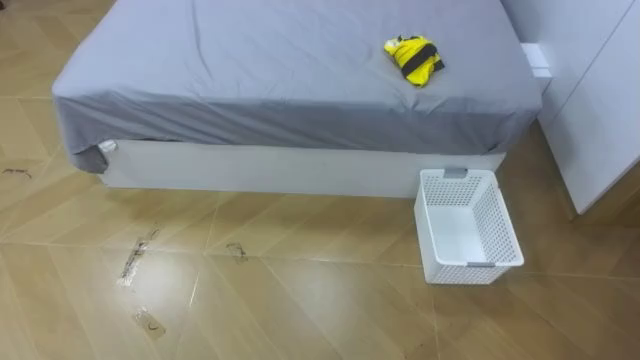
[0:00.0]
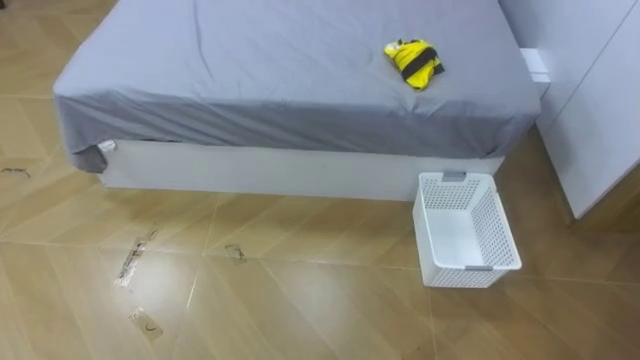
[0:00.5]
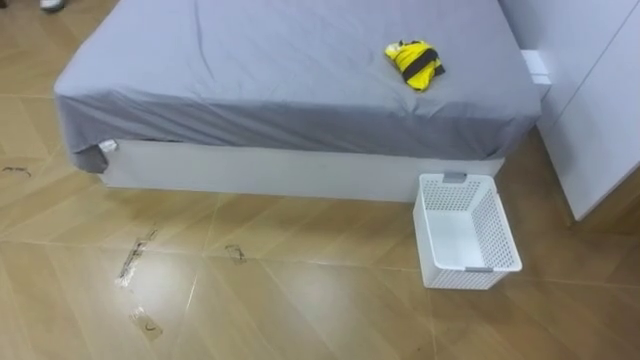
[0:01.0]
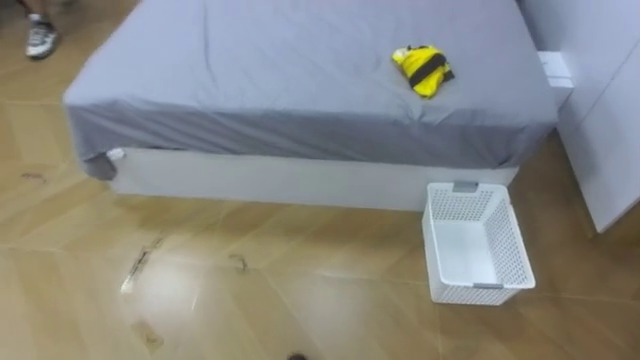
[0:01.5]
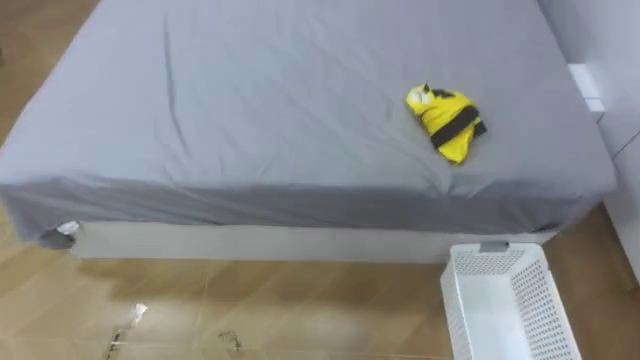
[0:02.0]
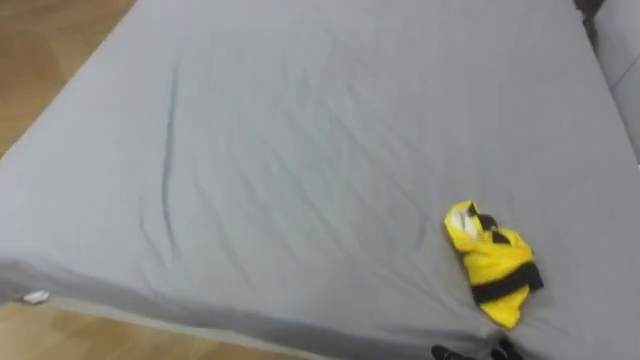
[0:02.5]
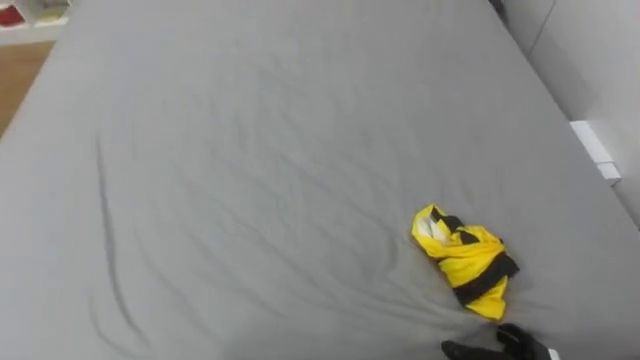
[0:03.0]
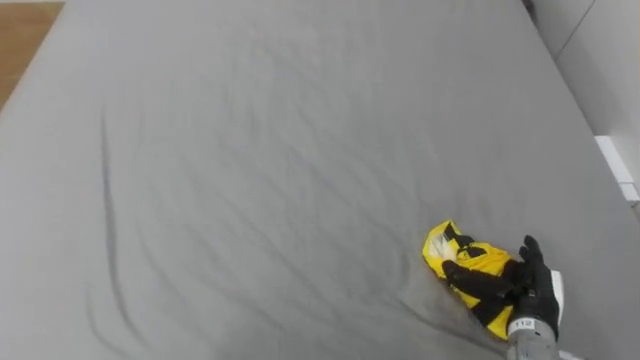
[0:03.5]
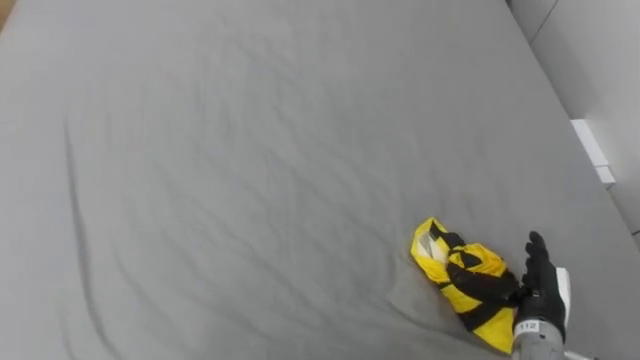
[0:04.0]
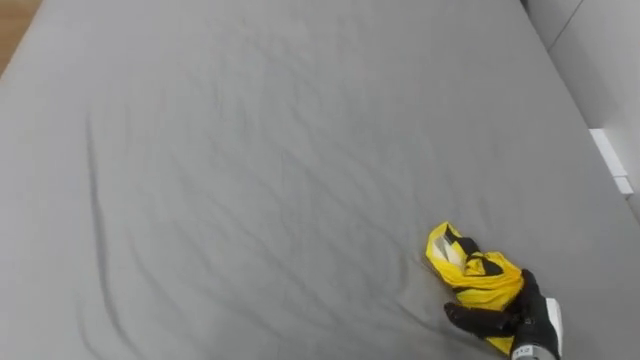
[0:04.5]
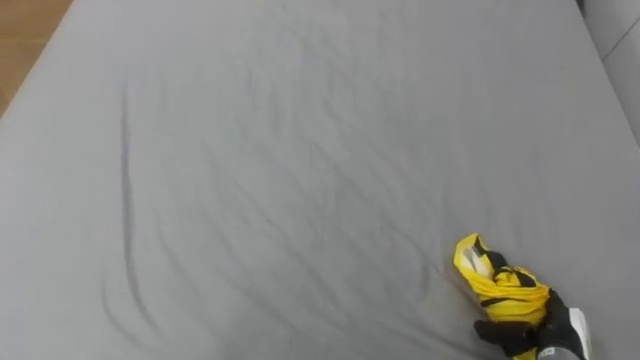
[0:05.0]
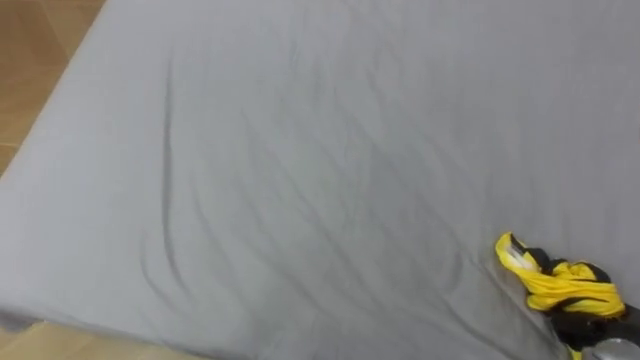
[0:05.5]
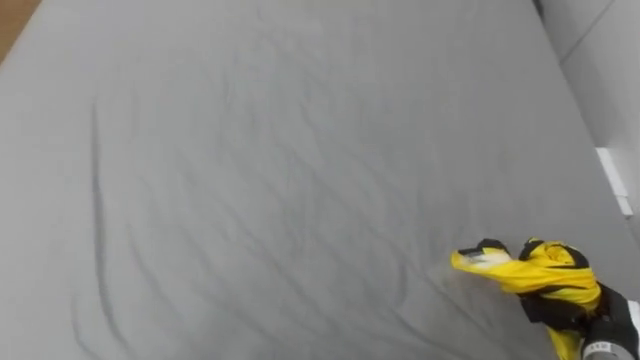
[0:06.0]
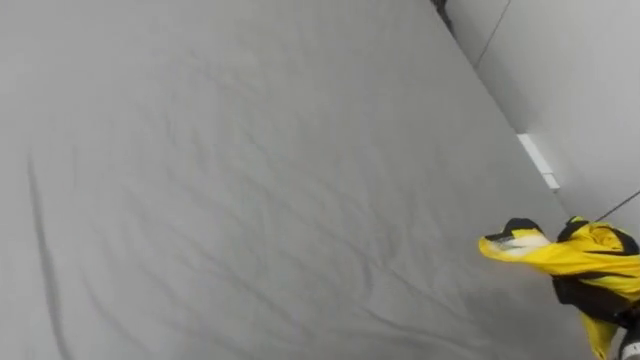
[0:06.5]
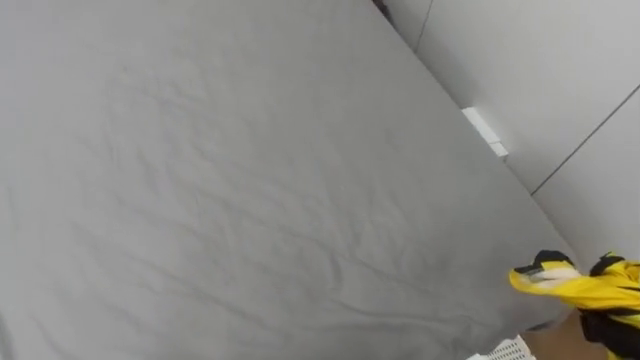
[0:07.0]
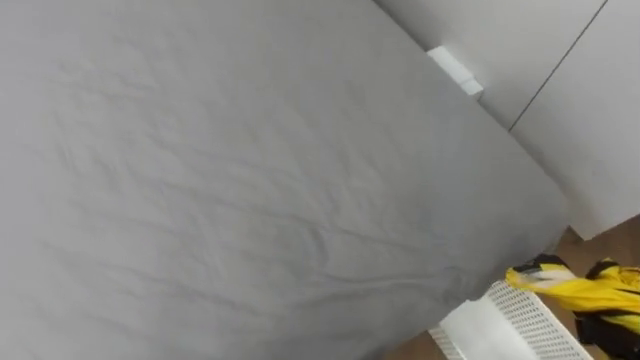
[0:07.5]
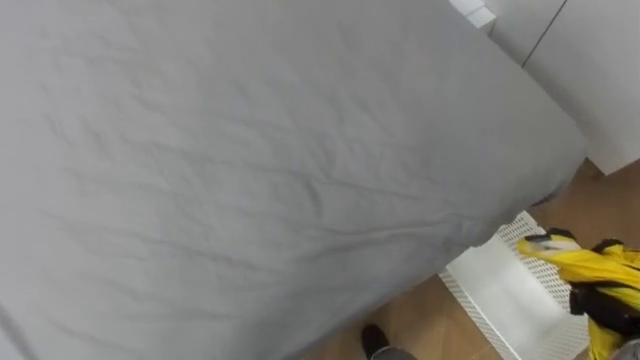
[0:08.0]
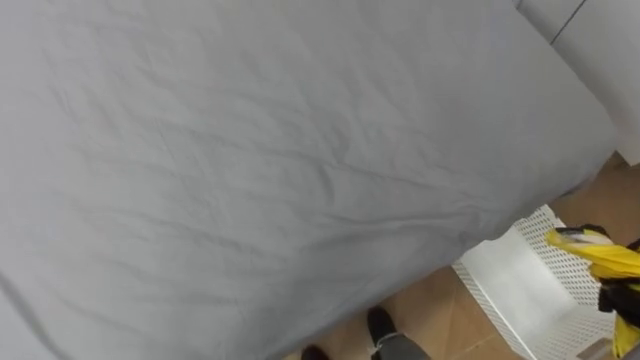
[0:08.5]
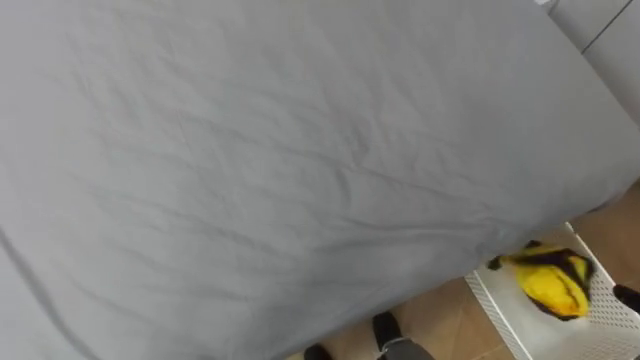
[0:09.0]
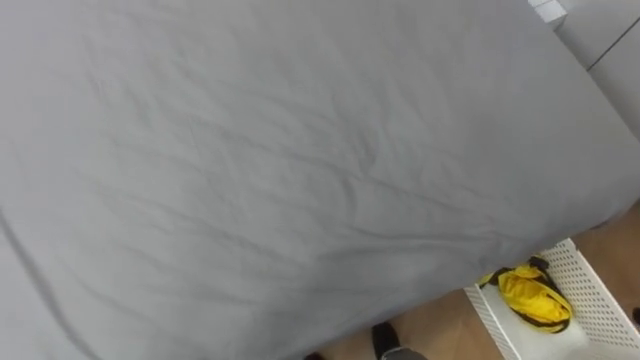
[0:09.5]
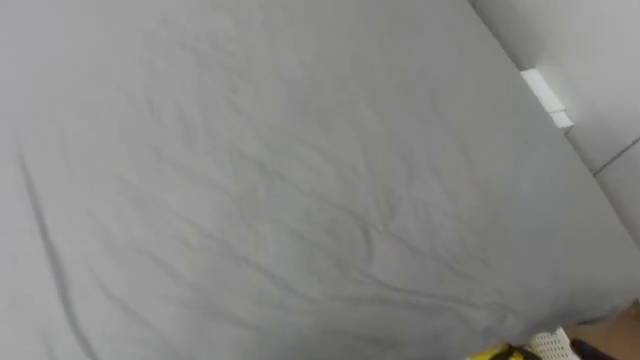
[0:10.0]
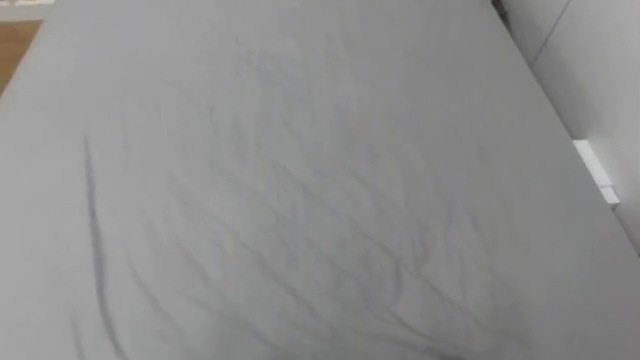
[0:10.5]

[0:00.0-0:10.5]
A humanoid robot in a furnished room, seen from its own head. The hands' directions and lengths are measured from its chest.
Task of the whole recording: Pick up the yellow clothes on the bed and place them into the white basket on the right.
0:04.0 to 0:06.5: The right hand goes some 10 cm to the right, and closes.
0:08.5 to 0:10.5: The robot turns to its left by roughly 15 degrees.

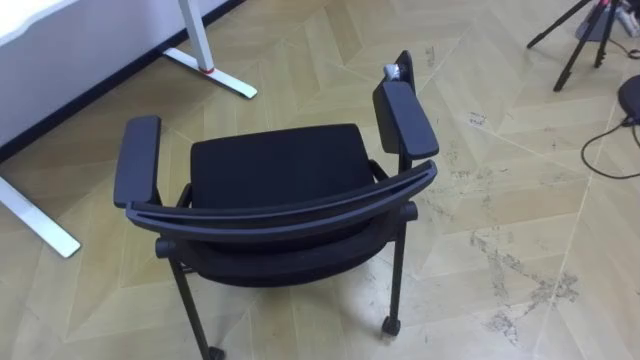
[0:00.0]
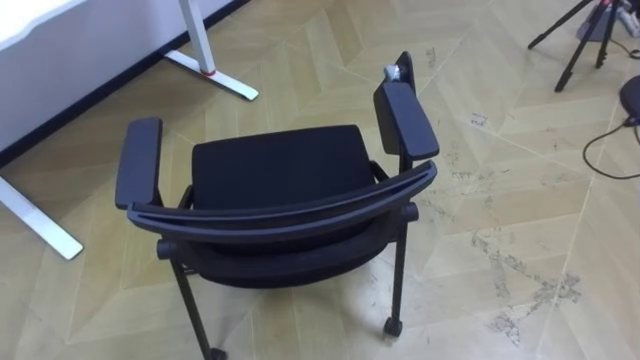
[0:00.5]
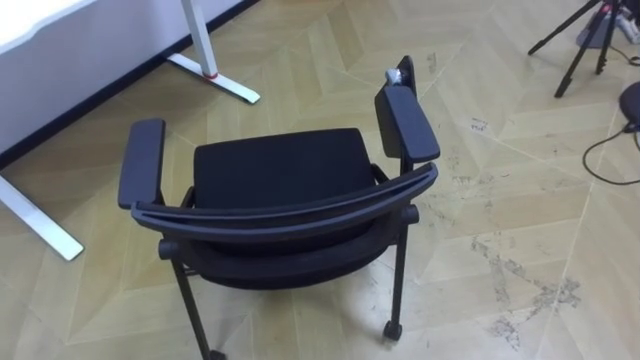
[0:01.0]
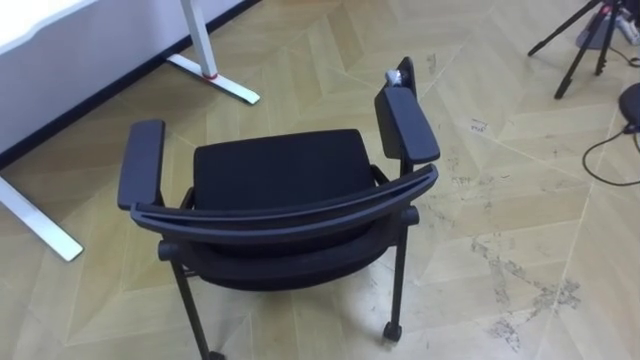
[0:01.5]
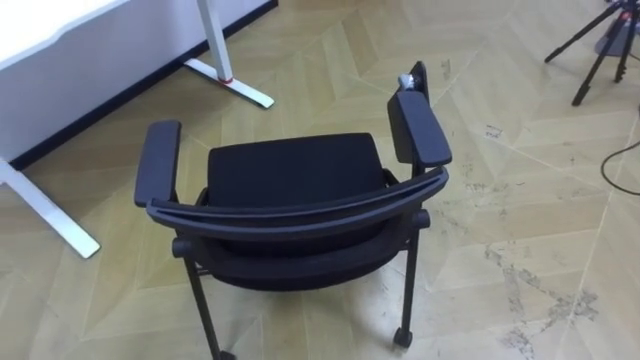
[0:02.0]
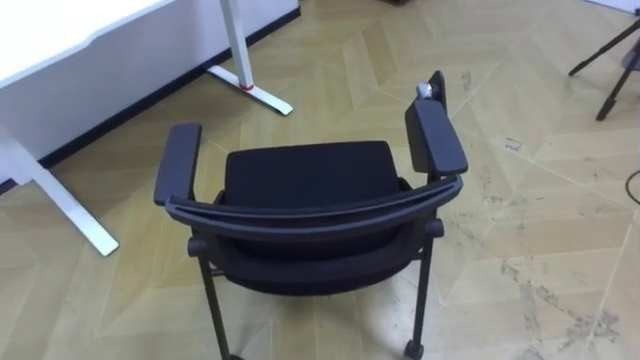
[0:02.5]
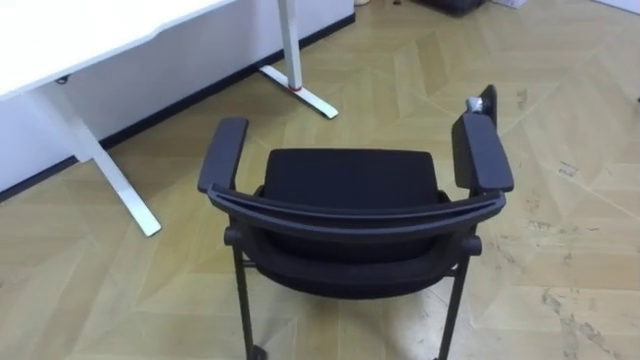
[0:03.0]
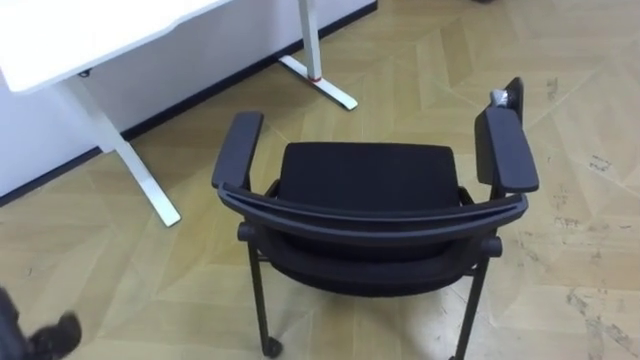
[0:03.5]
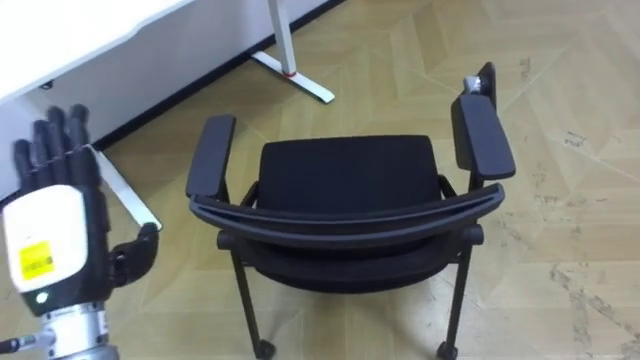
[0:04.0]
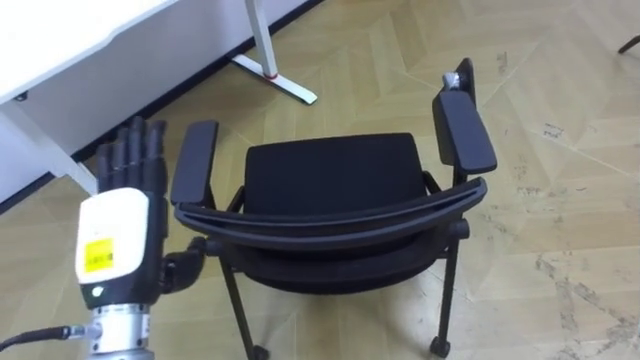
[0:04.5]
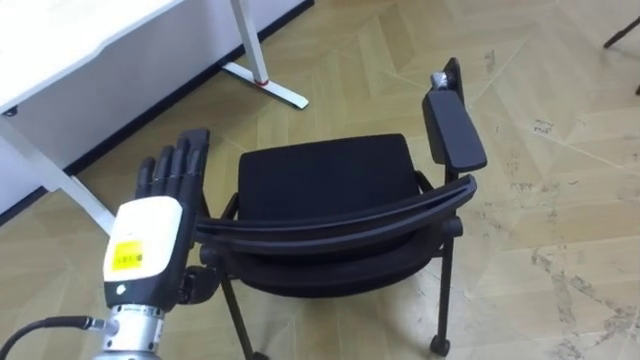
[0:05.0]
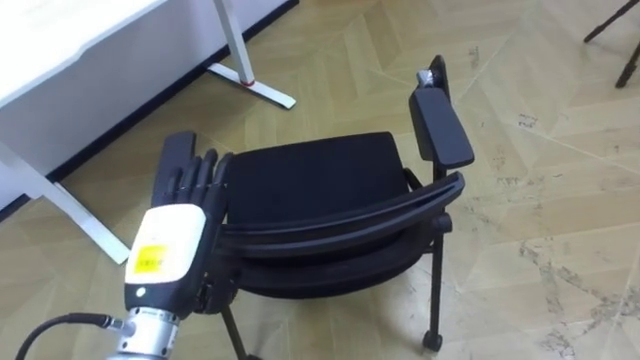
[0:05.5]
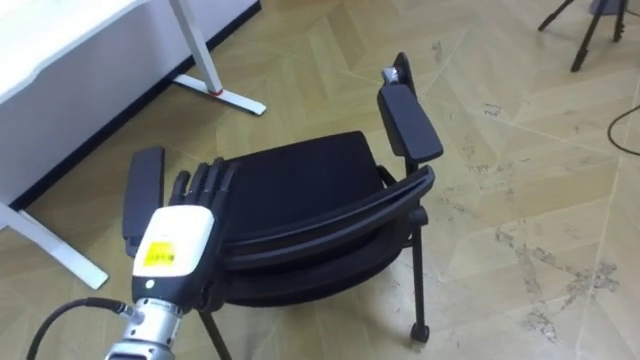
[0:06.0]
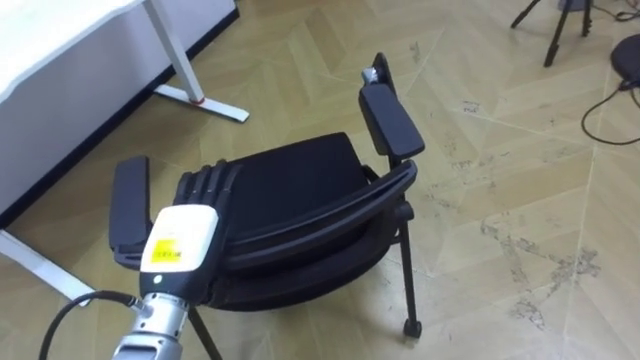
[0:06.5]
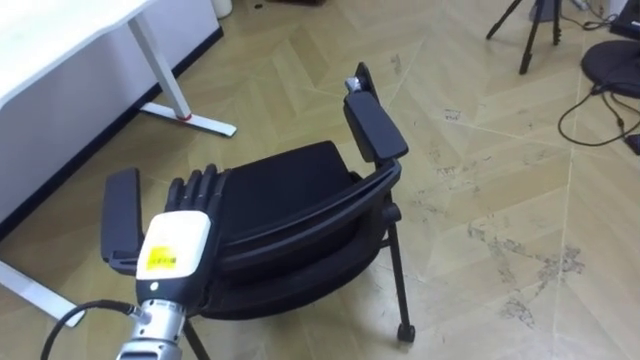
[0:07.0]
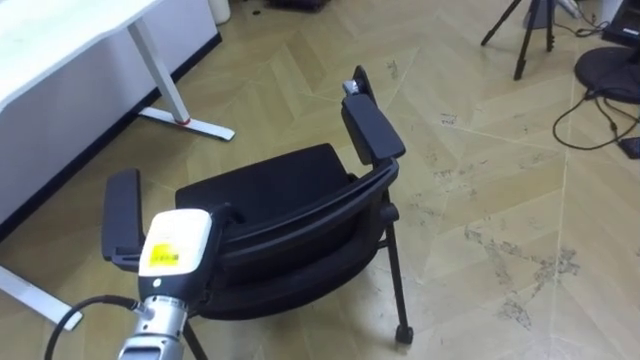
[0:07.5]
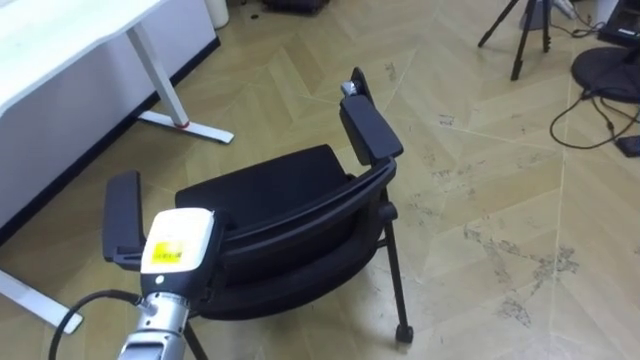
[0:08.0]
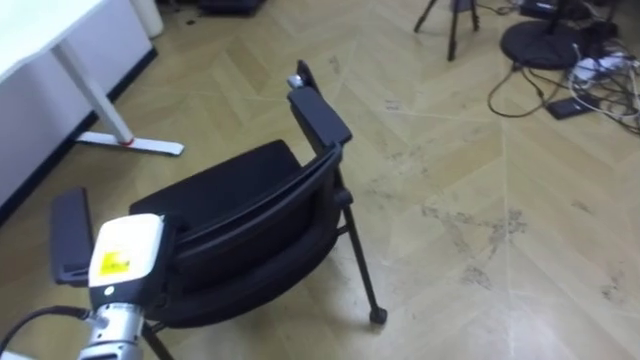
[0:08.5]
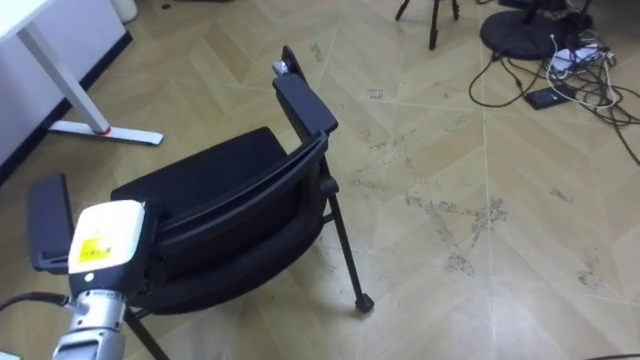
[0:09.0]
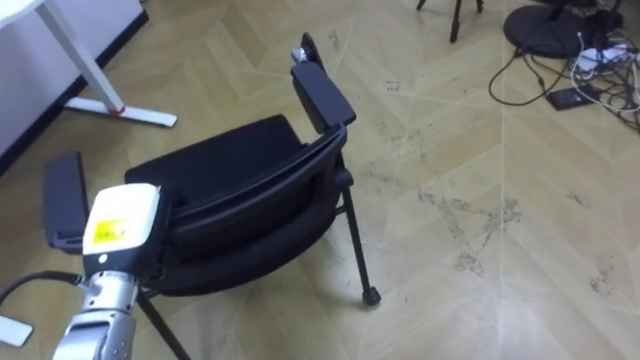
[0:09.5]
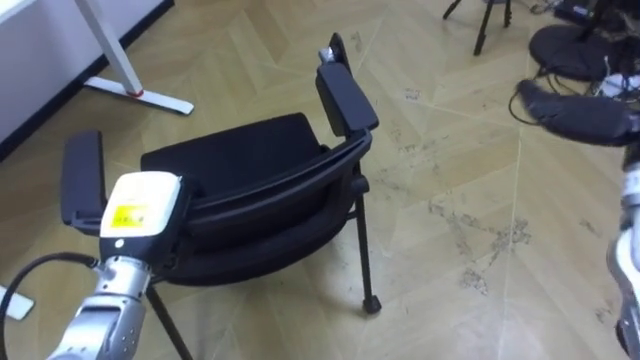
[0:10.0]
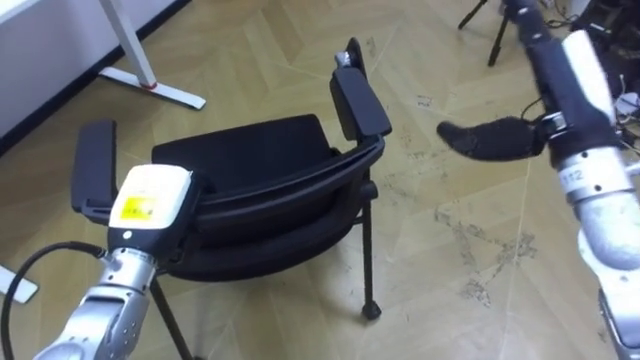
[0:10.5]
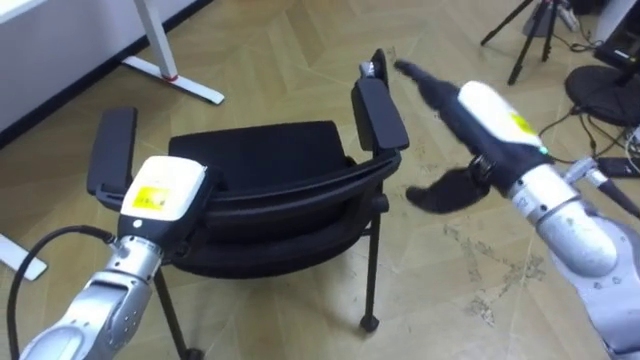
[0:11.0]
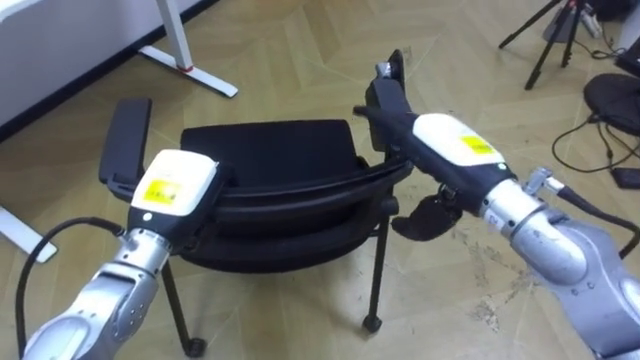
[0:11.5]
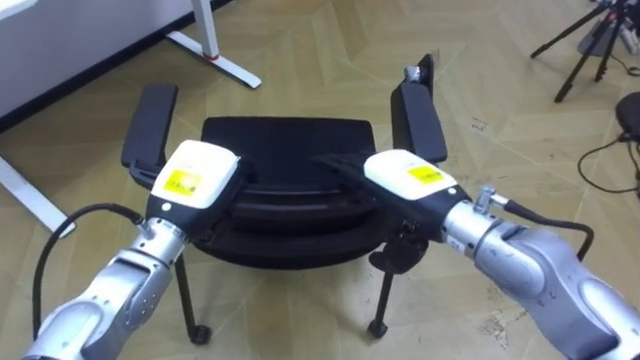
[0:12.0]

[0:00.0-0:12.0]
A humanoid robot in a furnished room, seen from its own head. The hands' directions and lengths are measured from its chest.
Task of the whole recording: Push the chair under the table.
0:04.0 to 0:06.0: The left hand heads to the right and downward, covering roughly 10 cm.
0:06.0 to 0:08.0: The left hand closes its fingers.
0:08.0 to 0:10.0: The left hand ends up approximately 5 cm from where it was.
0:10.0 to 0:12.0: The left hand is displaced to the right by roughly 5 cm.
